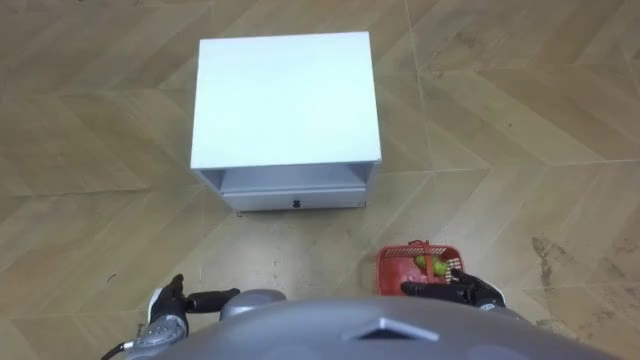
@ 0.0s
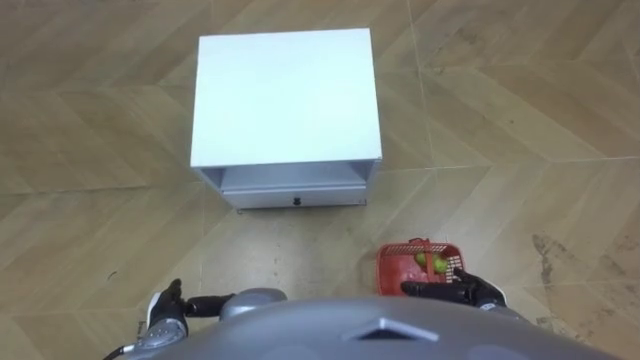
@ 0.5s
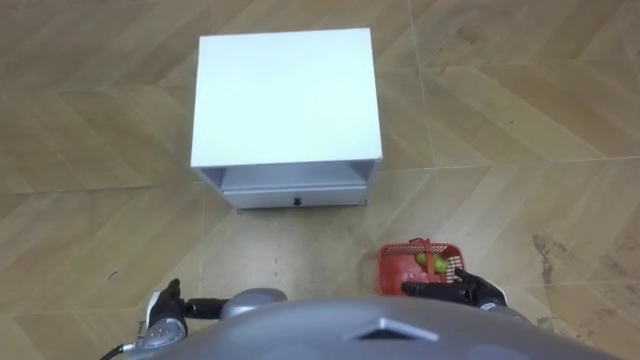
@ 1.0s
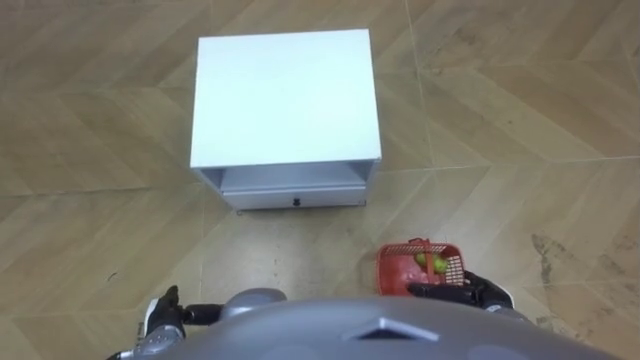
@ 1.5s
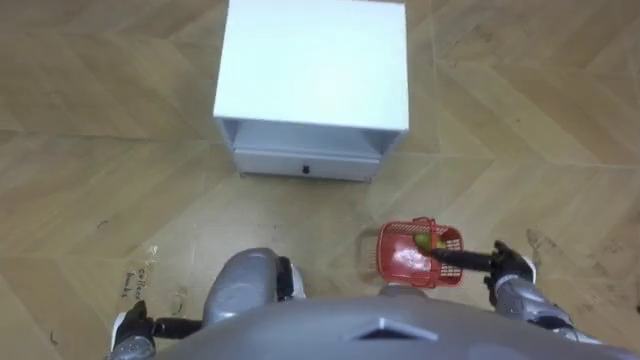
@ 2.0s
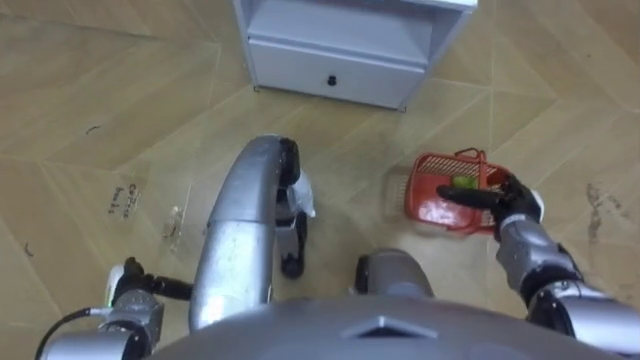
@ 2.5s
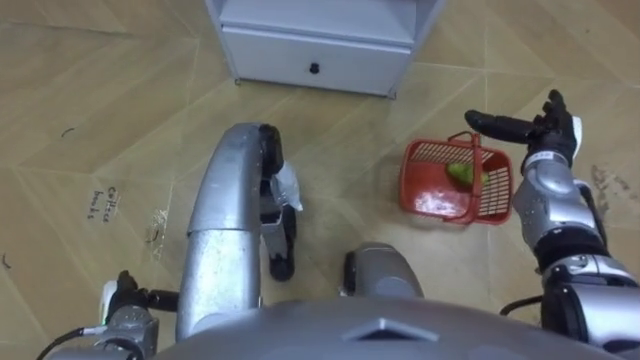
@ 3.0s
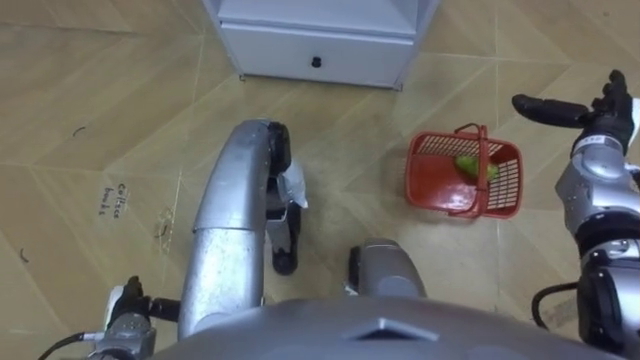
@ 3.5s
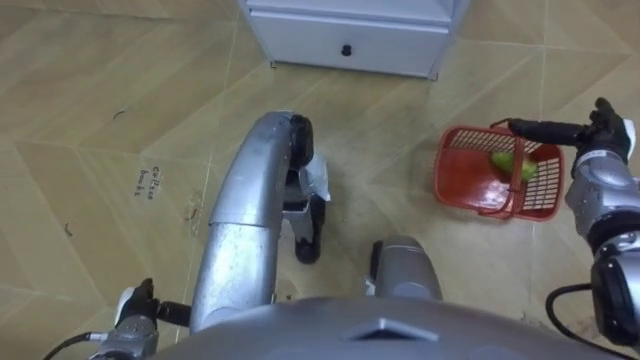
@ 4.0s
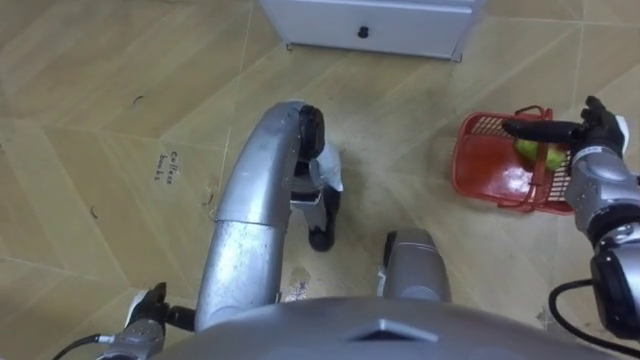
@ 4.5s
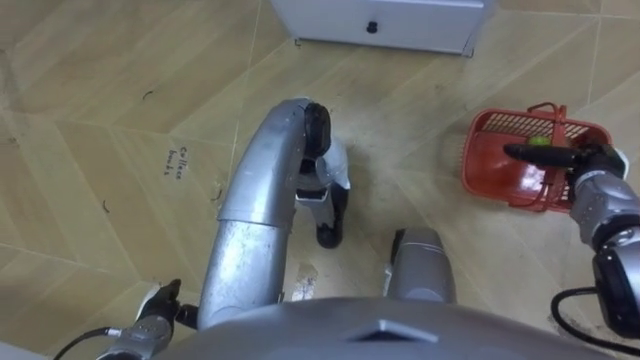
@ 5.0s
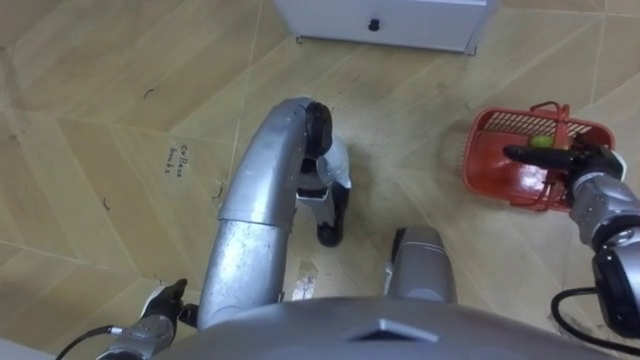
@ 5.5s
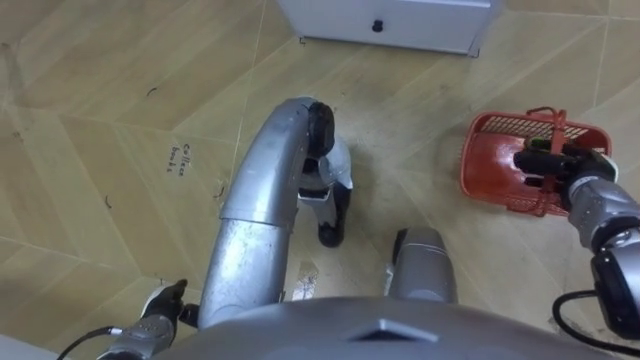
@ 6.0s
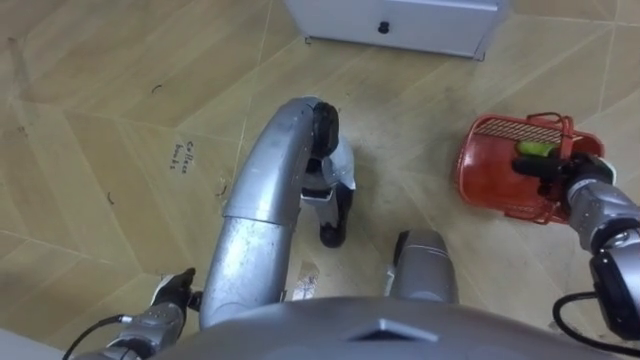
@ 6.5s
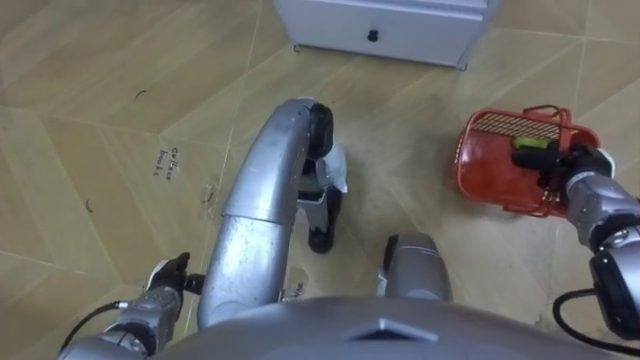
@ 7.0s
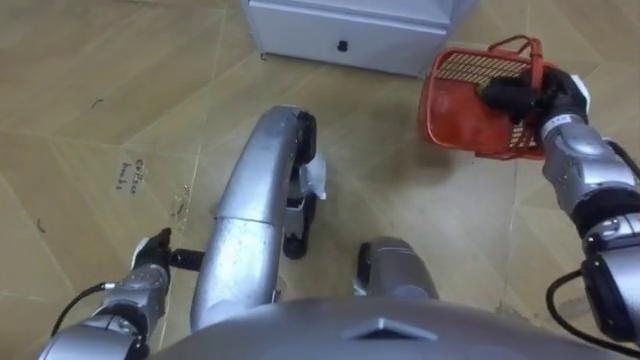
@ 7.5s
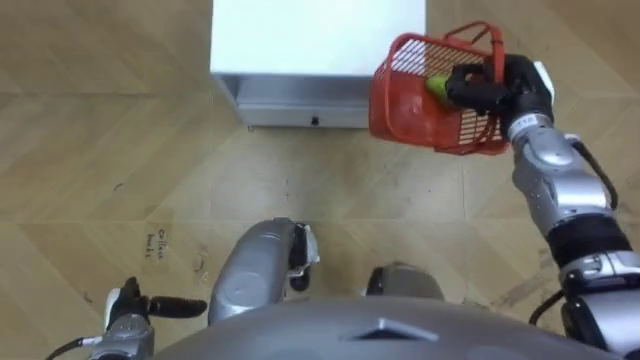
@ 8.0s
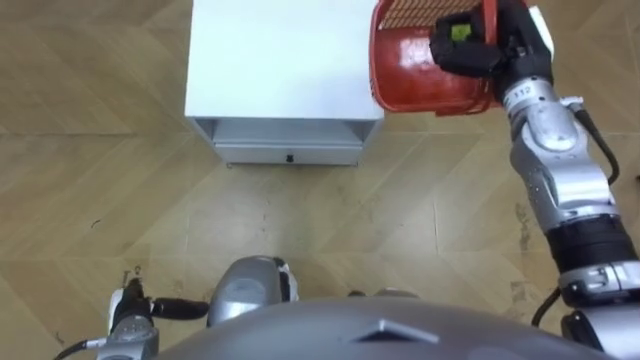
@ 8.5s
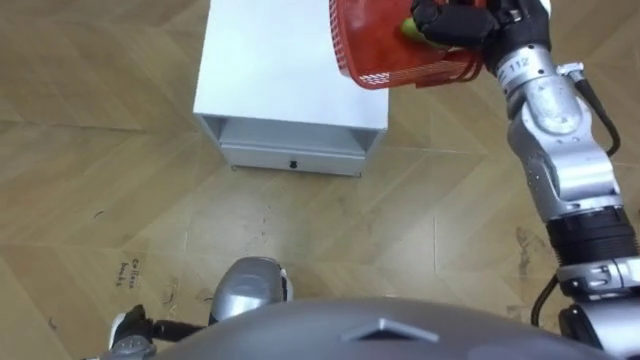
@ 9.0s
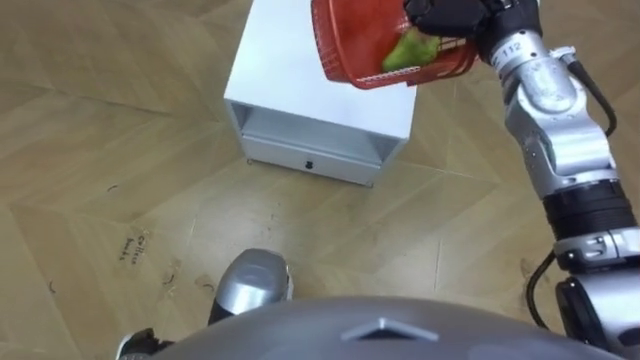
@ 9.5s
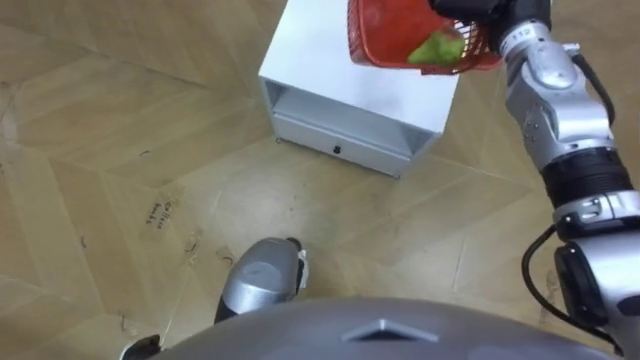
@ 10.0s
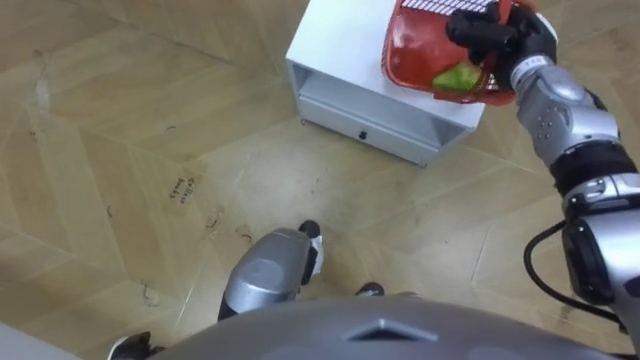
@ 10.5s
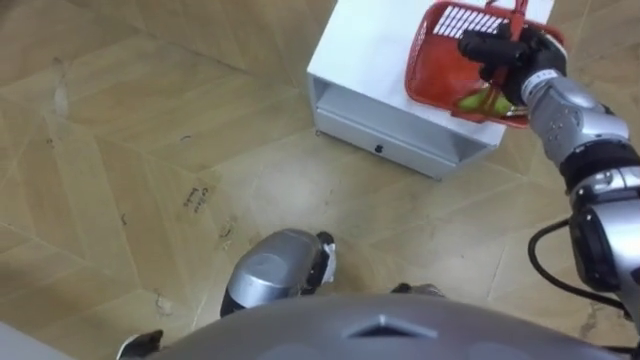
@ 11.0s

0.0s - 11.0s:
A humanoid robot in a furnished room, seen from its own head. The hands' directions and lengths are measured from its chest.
Task of the whole recording: Pick up the fruit basket from the floor and place it on the cabinet.
2.0s - 3.5s: The right hand is displaced forward, upward and to the right by some 25 cm.
3.5s - 5.5s: The right hand heads downward, covering roughly 5 cm.
5.5s - 7.5s: The right hand travels forward and to the left by approximately 10 cm, and closes. The left hand is displaced forward by about 10 cm.
7.5s - 9.0s: The left hand travels backward by approximately 10 cm. Meanwhile the right hand moves upward and to the left, about 20 cm.

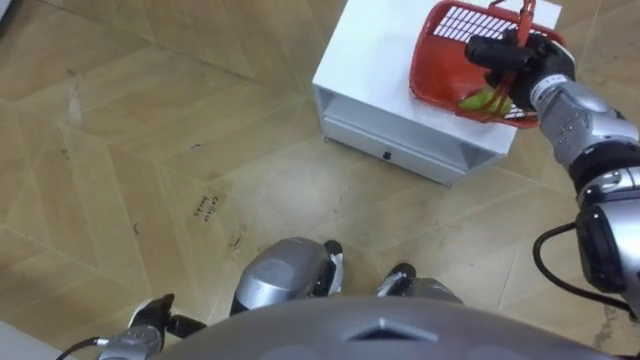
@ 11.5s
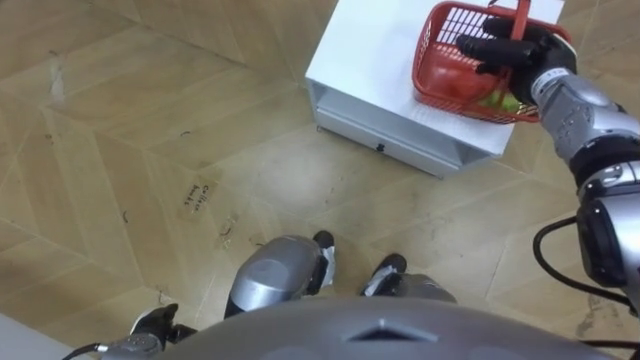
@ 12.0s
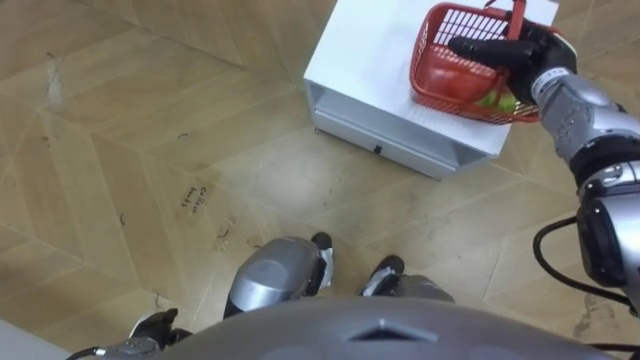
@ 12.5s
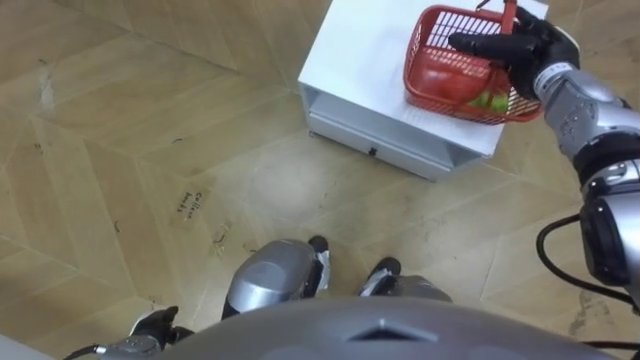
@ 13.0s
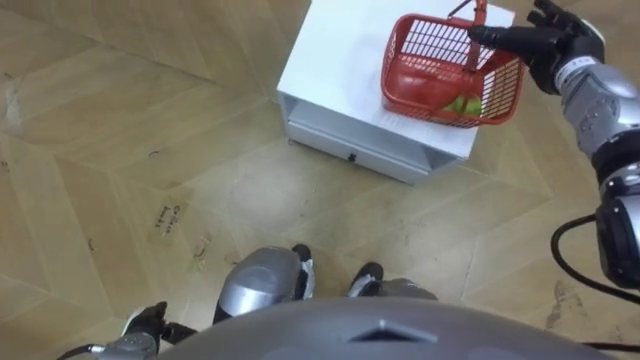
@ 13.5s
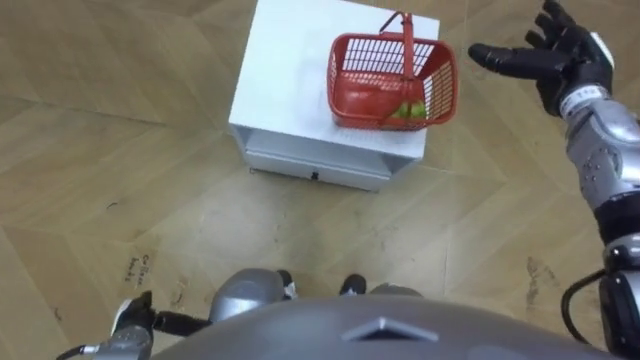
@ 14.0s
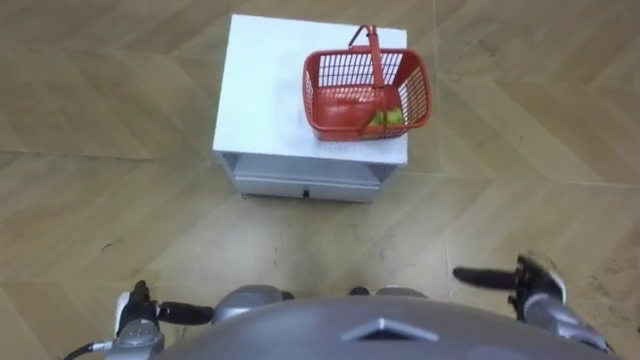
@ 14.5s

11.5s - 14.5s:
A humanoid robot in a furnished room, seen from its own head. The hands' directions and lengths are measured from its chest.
Task of the whole recording: Pick up the fruit basket from the floor and place it on the cabinet.
11.5s - 13.0s: The right hand opens up.
13.0s - 14.5s: The right hand shifts approximately 30 cm backward and downward.

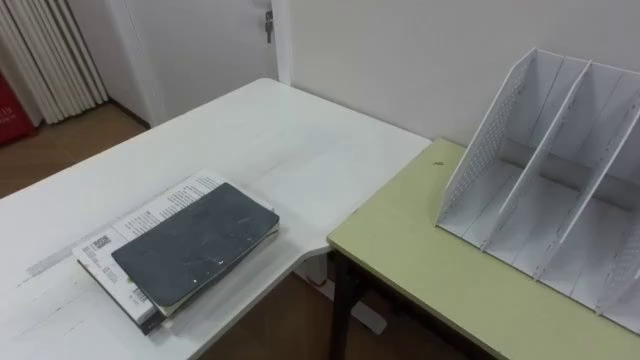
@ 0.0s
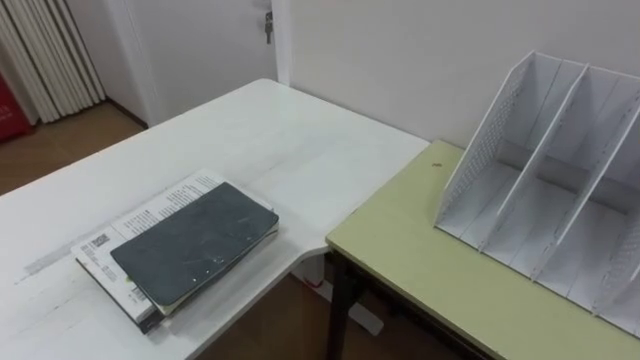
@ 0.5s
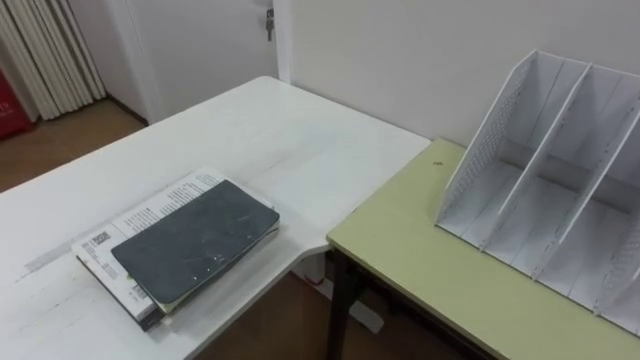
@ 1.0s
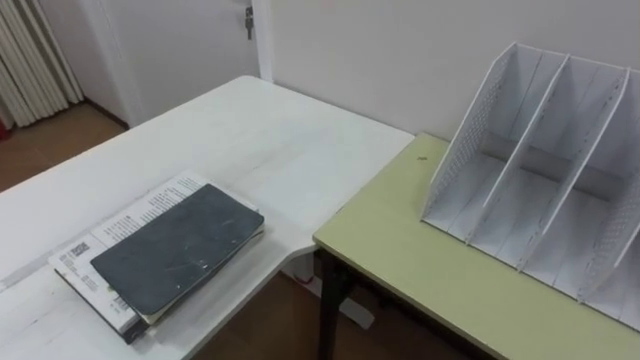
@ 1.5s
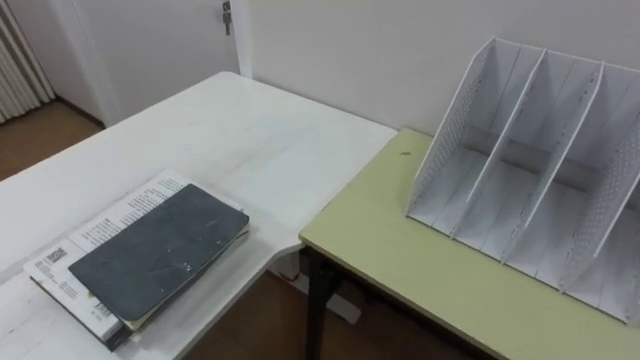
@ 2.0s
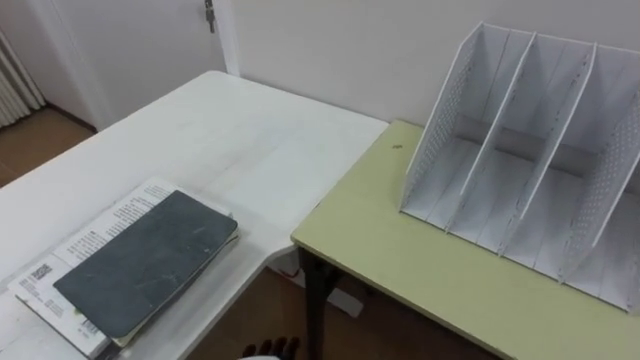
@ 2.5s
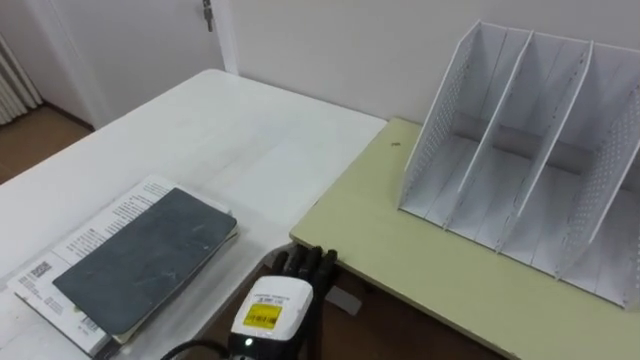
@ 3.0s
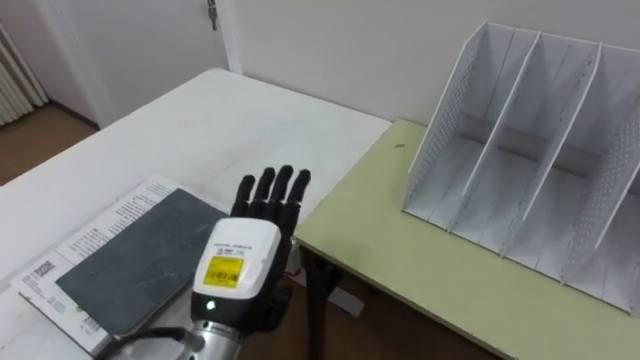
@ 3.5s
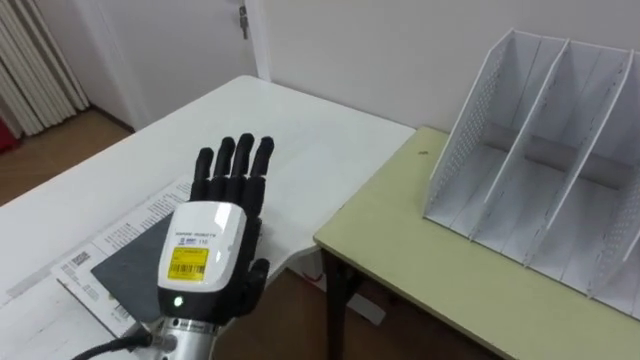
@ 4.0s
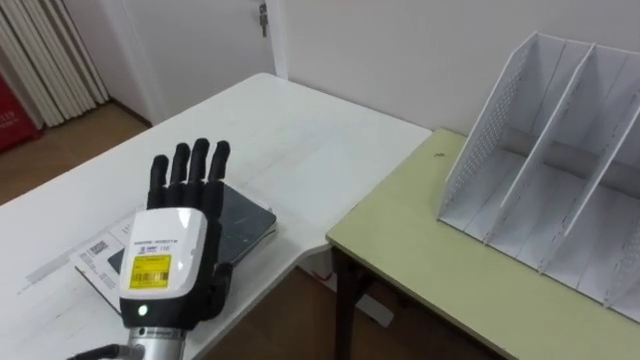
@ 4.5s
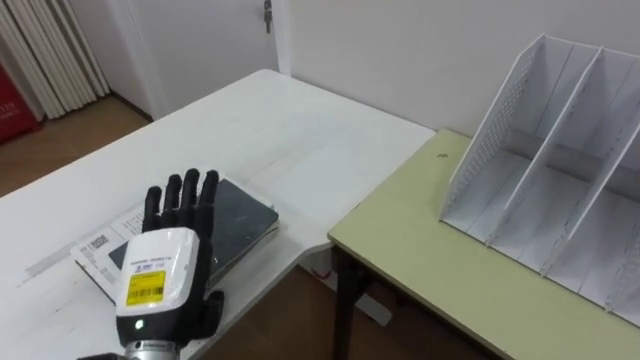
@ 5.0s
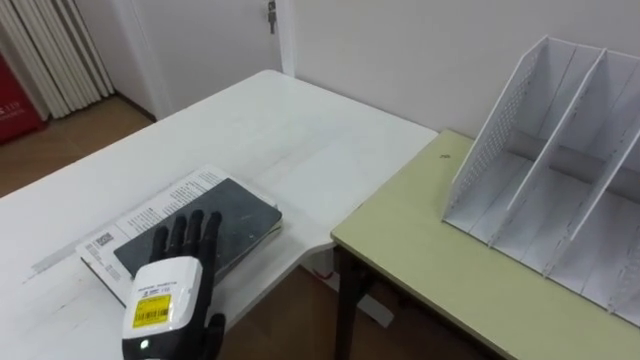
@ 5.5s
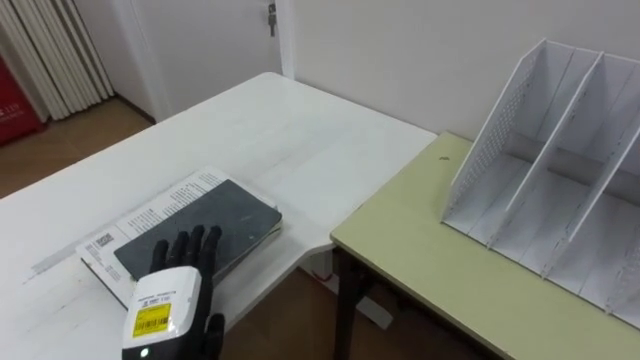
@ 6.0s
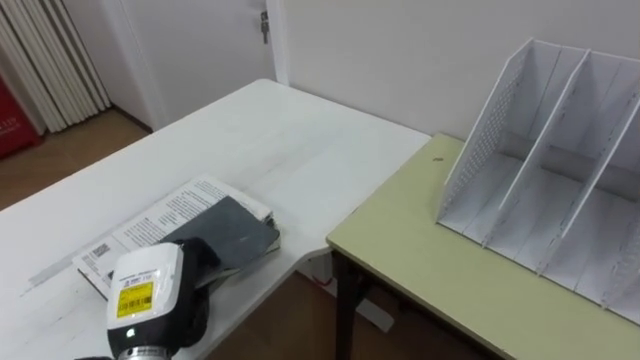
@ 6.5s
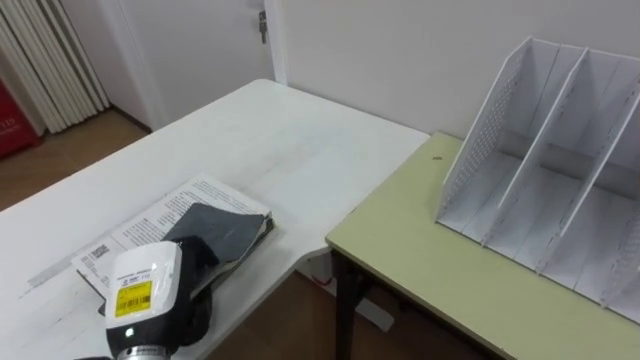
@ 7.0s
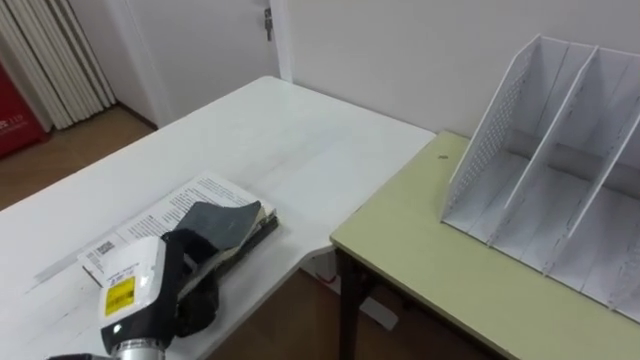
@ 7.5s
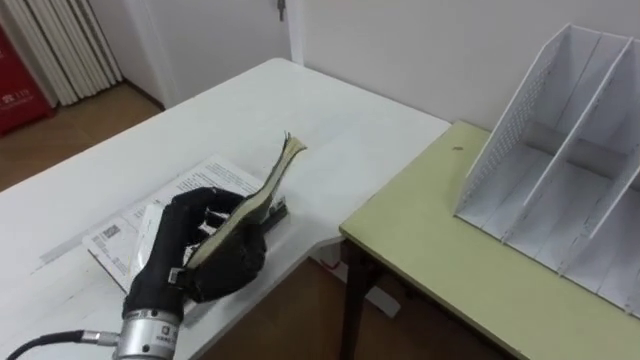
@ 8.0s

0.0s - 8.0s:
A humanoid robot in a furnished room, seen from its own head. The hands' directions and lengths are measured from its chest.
Task of the whole recording: Put the books on the table onto the bookshelf.
4.0s - 6.0s: The left hand heads downward and to the left, covering some 10 cm.
6.0s - 8.0s: The left hand shifts about 5 cm upward, and closes.
